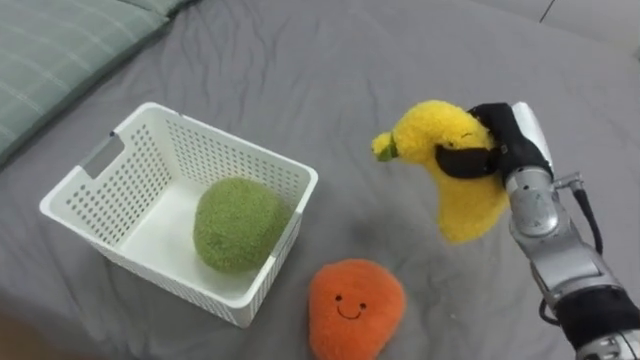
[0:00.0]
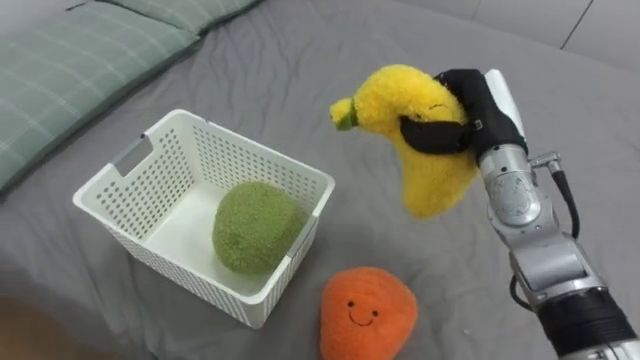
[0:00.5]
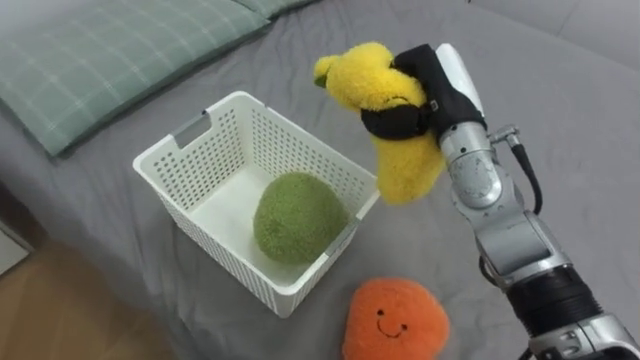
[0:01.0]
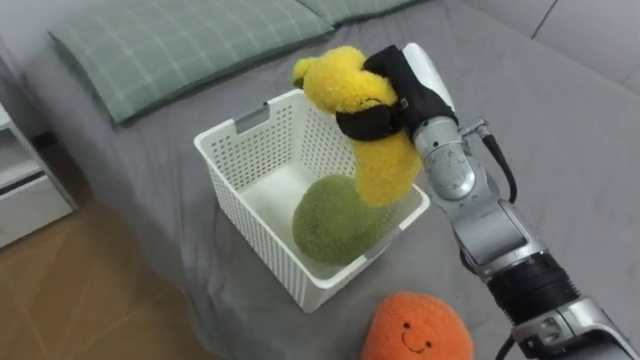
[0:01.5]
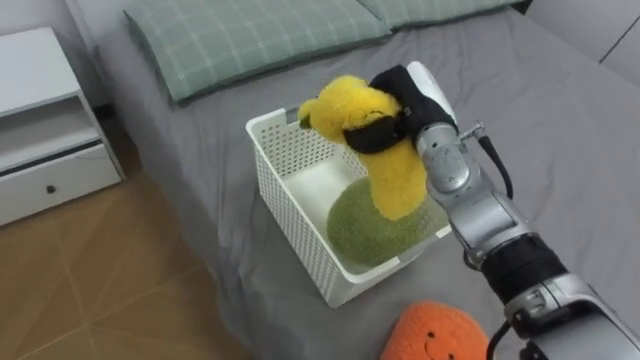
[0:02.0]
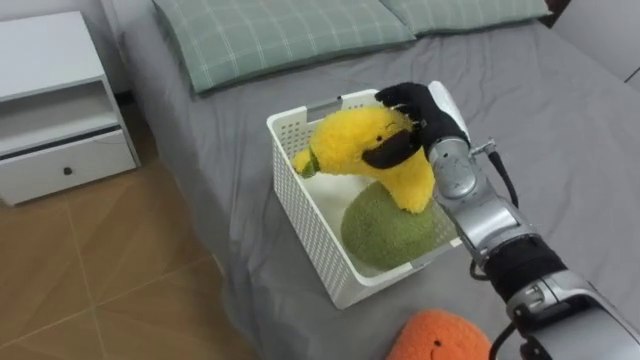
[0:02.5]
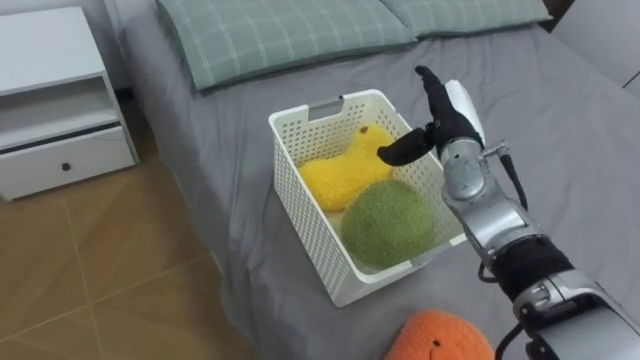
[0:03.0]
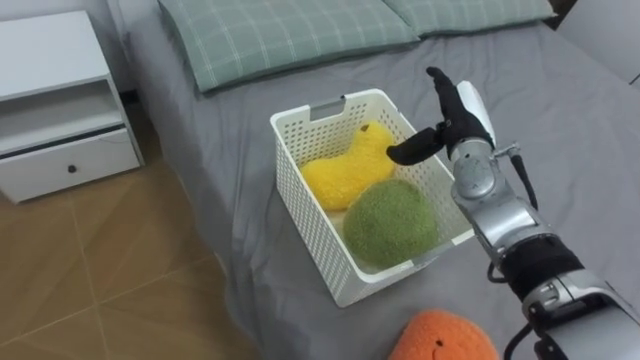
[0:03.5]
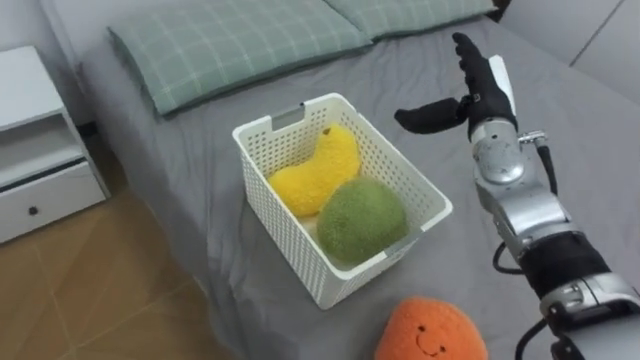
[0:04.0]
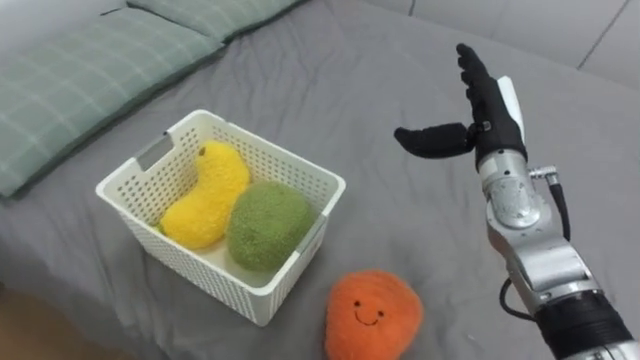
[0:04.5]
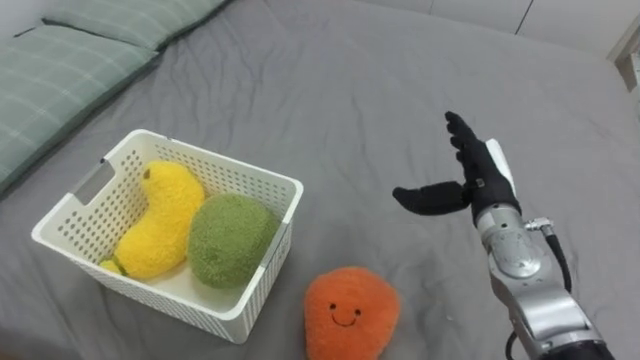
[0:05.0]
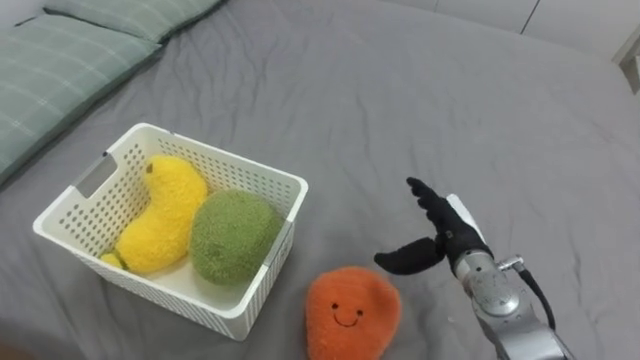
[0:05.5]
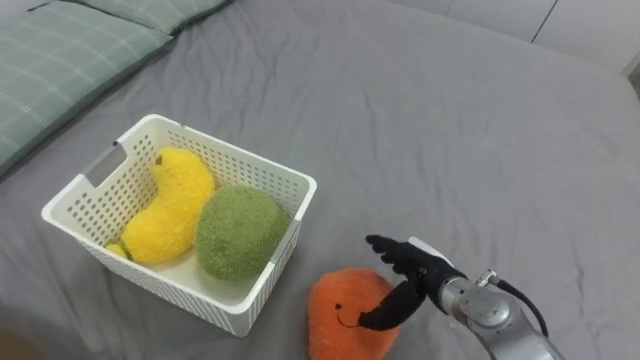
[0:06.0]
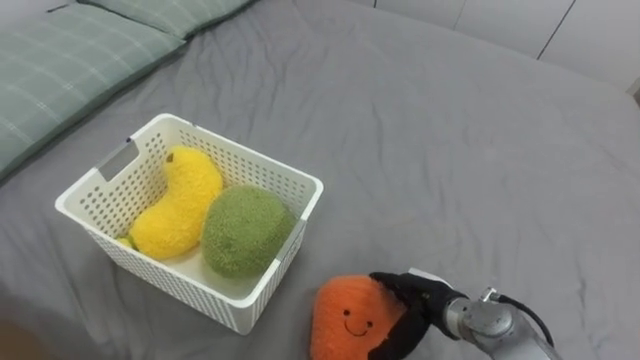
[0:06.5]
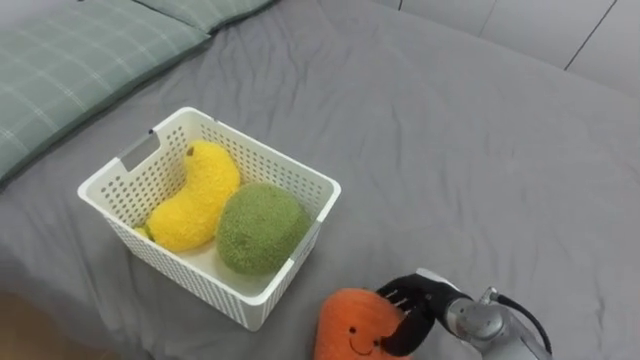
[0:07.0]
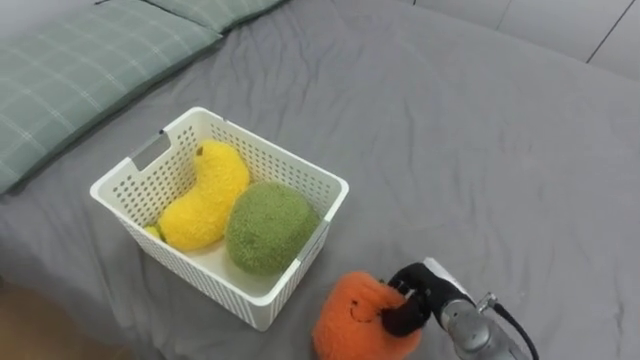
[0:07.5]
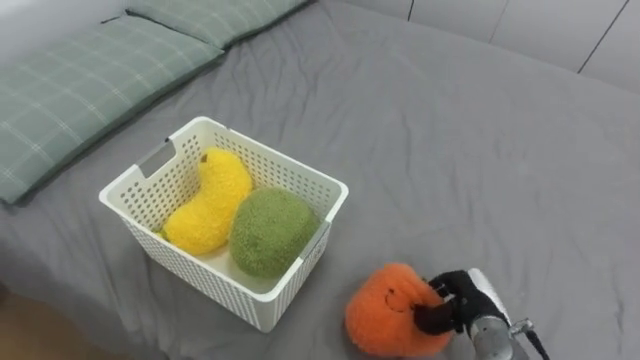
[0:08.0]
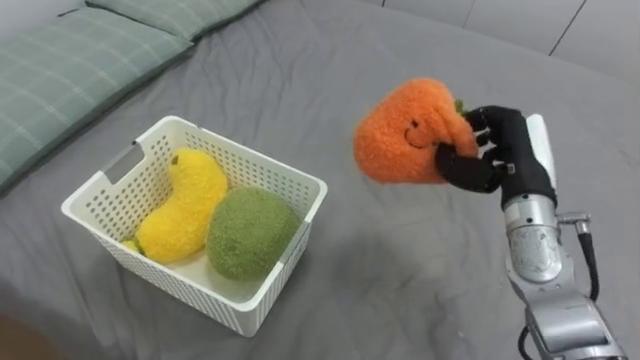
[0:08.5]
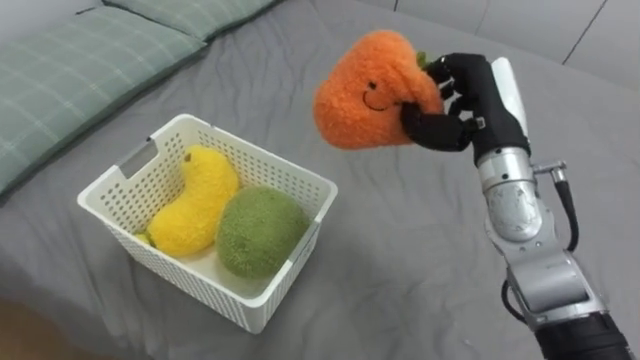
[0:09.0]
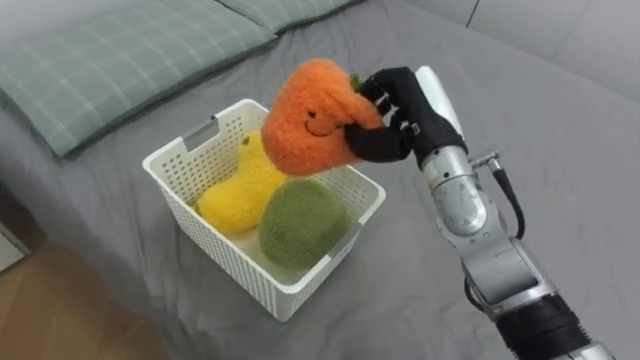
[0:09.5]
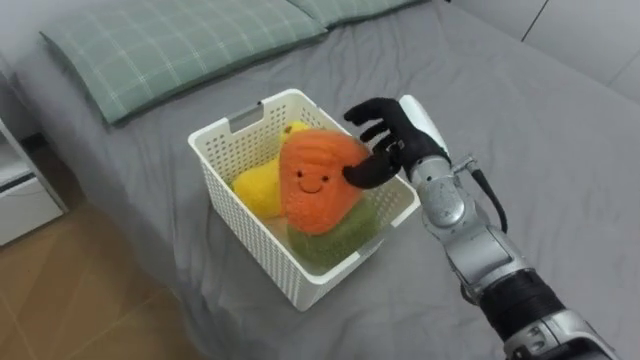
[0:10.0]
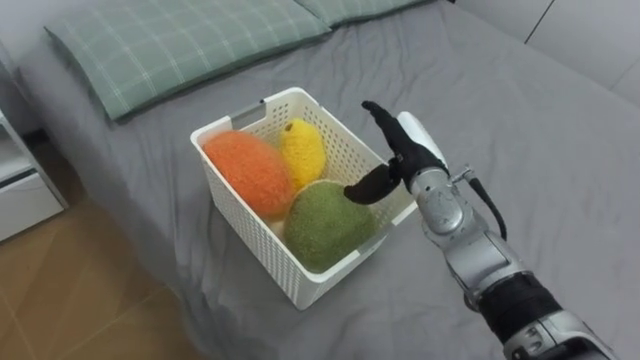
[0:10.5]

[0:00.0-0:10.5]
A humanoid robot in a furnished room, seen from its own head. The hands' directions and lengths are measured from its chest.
Task of the whole recording: Put the toys on the bed into the basket on the left.
0:00.0 to 0:02.0: The right hand heads to the left, covering some 15 cm.
0:02.0 to 0:04.0: The right hand travels to the right by about 10 cm, and opens its fingers.
0:04.0 to 0:06.5: The right hand shifts roughly 30 cm downward and backward.
0:06.5 to 0:08.5: The right hand is displaced upward, forward and to the right by approximately 25 cm, and closes its fingers.
0:08.5 to 0:10.5: The right hand moves to the left, some 10 cm, and opens its fingers.

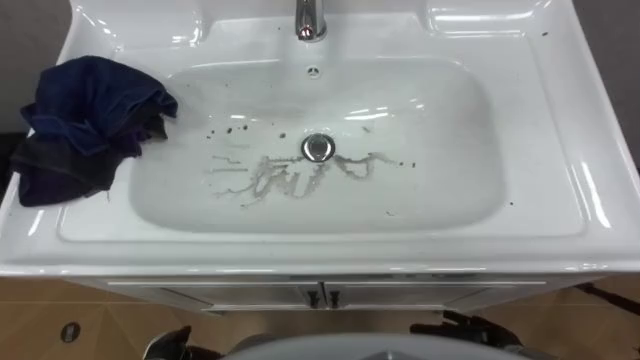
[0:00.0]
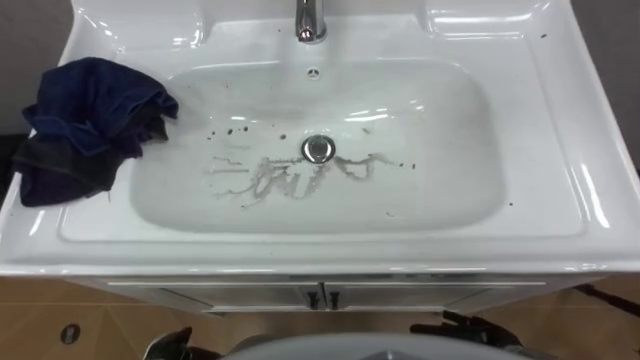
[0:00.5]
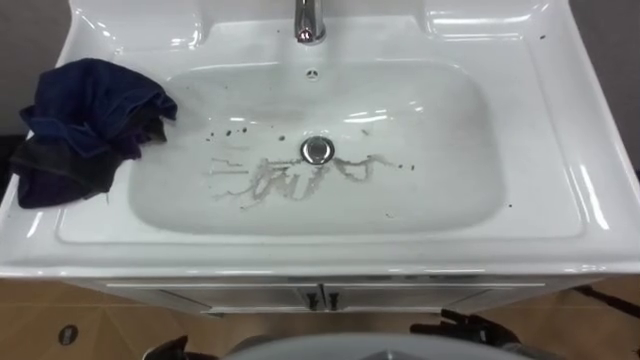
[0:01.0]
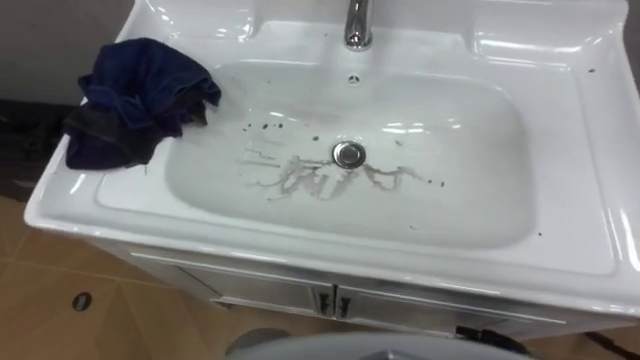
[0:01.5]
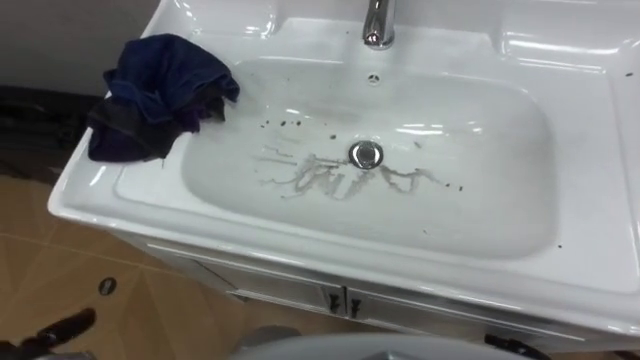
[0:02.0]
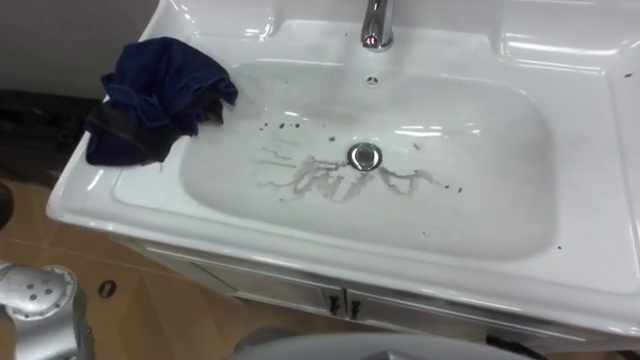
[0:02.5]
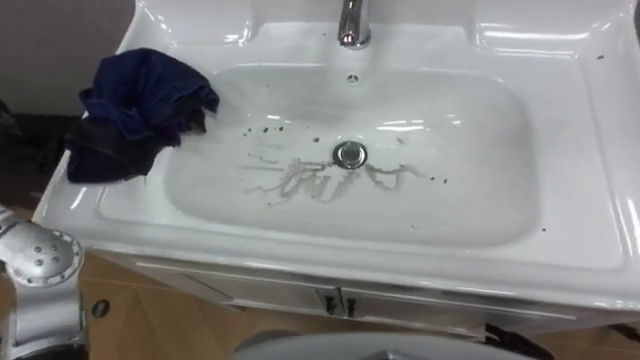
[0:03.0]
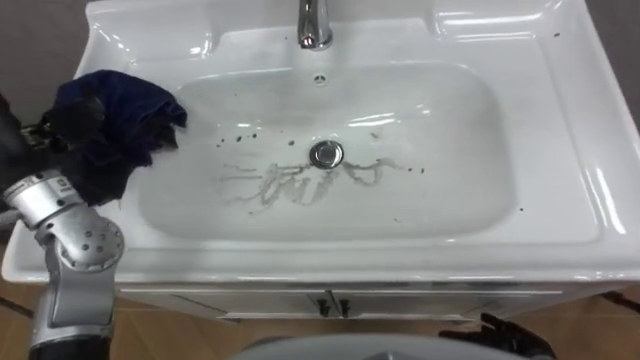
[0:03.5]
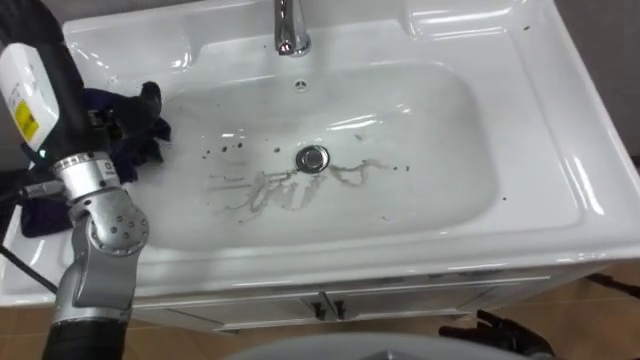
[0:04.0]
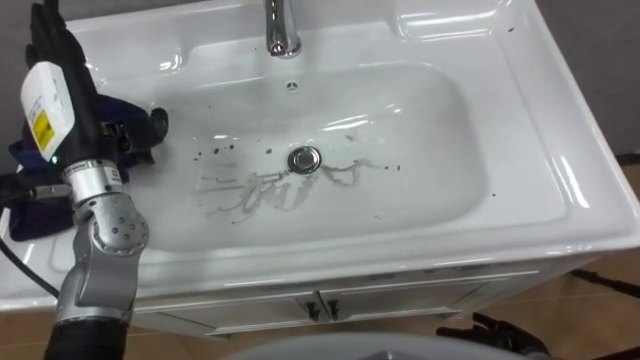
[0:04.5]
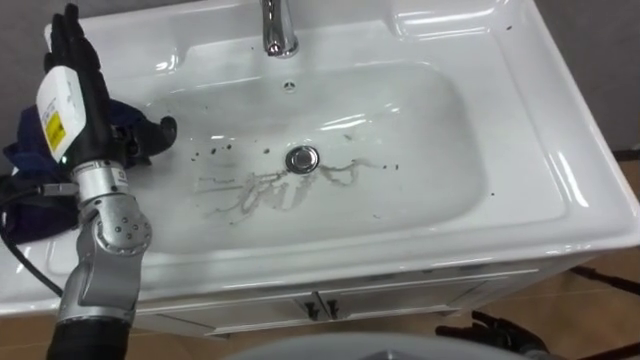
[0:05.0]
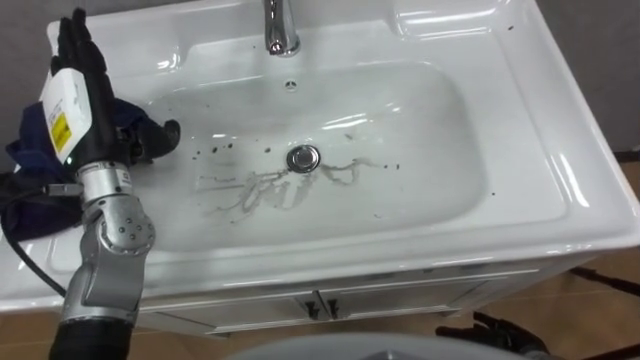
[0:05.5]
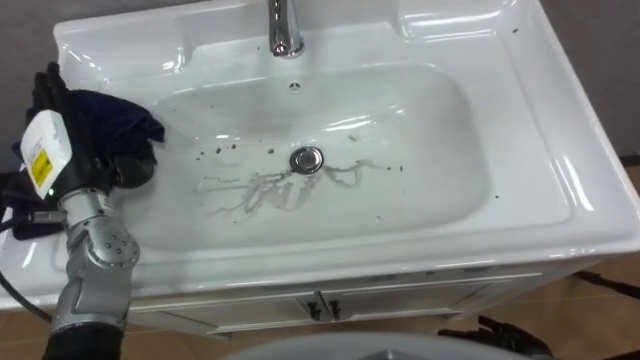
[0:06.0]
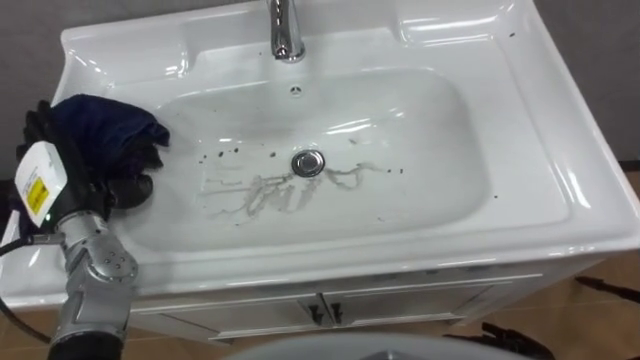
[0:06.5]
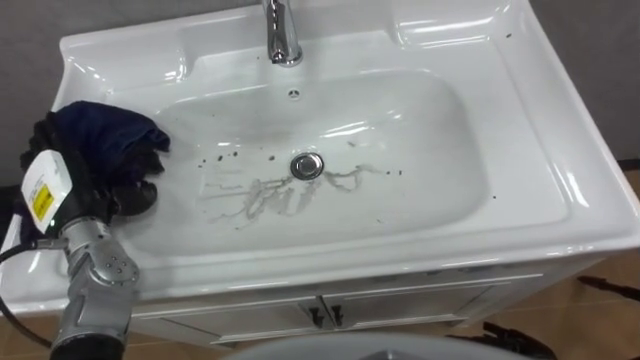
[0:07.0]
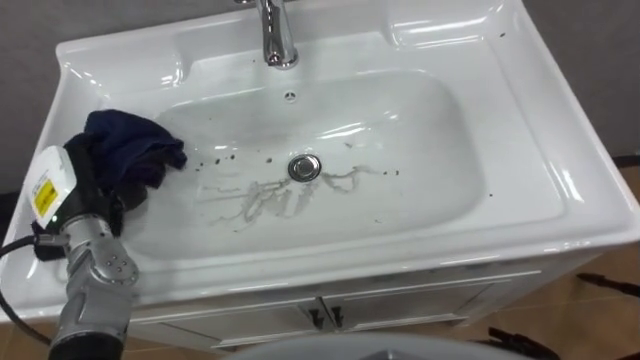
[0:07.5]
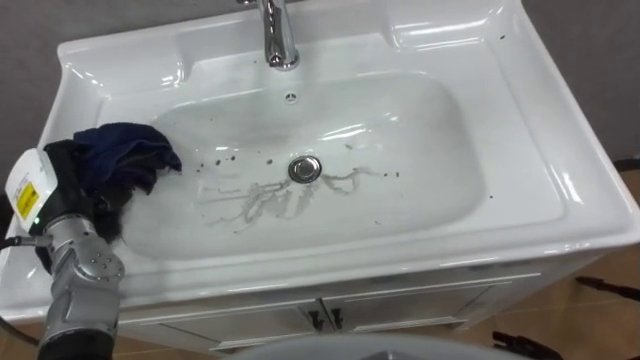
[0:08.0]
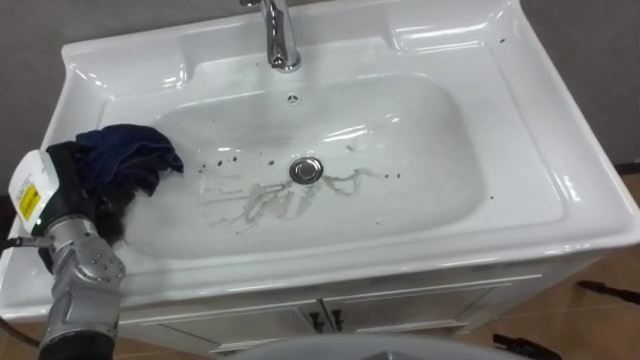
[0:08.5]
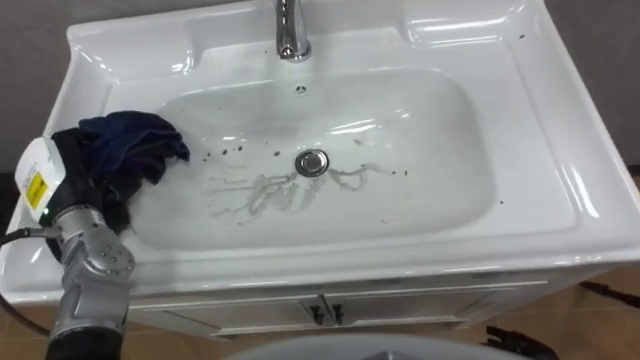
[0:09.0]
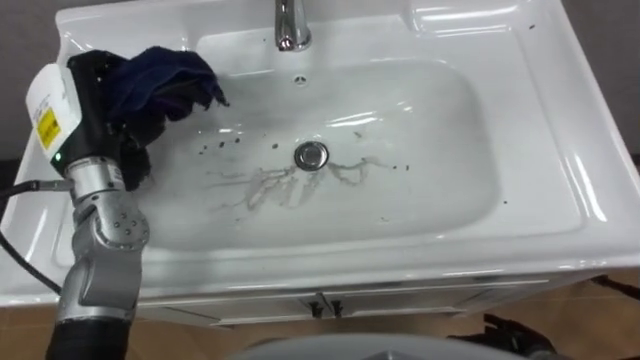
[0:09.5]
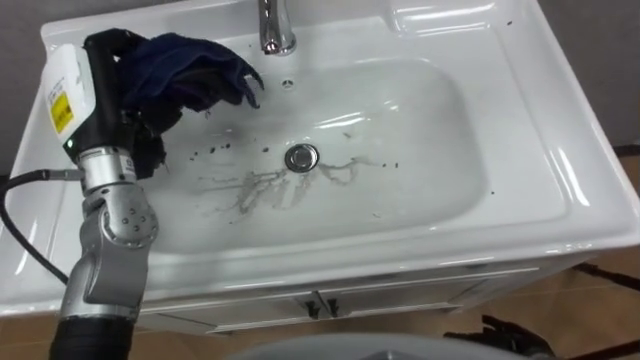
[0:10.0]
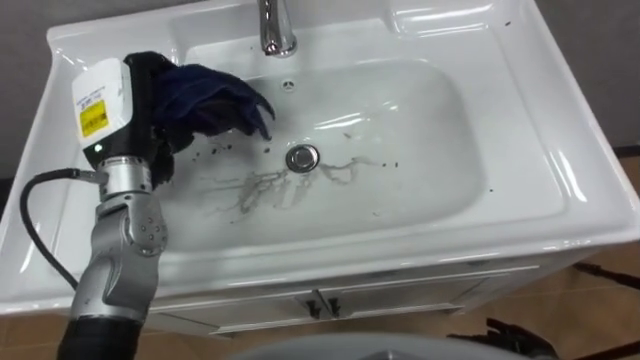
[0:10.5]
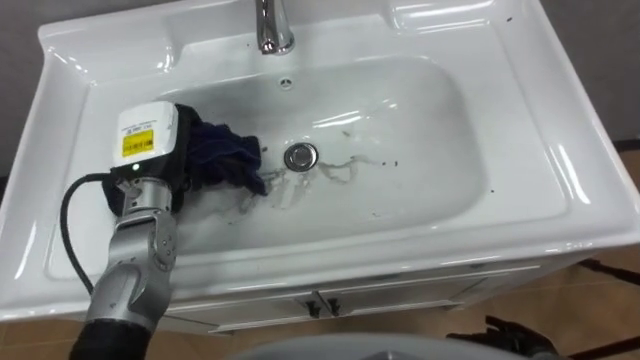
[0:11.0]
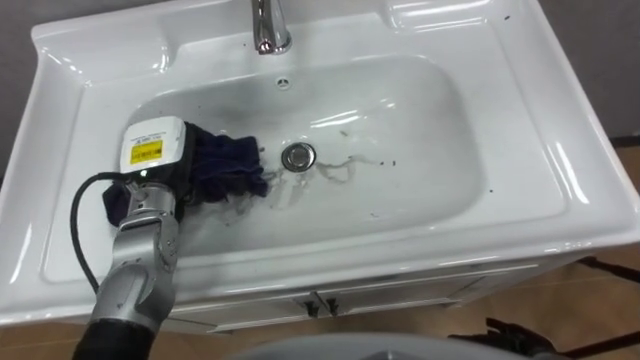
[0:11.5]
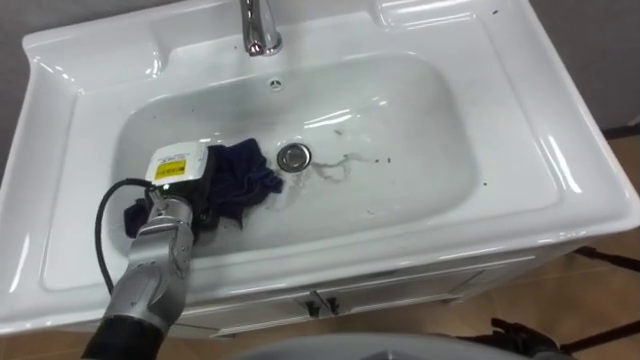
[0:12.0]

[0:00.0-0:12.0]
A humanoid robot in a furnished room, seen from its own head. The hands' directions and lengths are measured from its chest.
Task of the whole recording: Use the cloth on the right to wipe away the black stain in the sink.
0:04.0 to 0:06.0: The left hand shifts about 10 cm downward.
0:06.0 to 0:08.0: The left hand moves approximately 5 cm, and closes up.
0:08.0 to 0:10.0: The left hand heads upward, to the right and forward, covering approximately 15 cm.
0:10.0 to 0:12.0: The left hand shifts approximately 15 cm downward.
